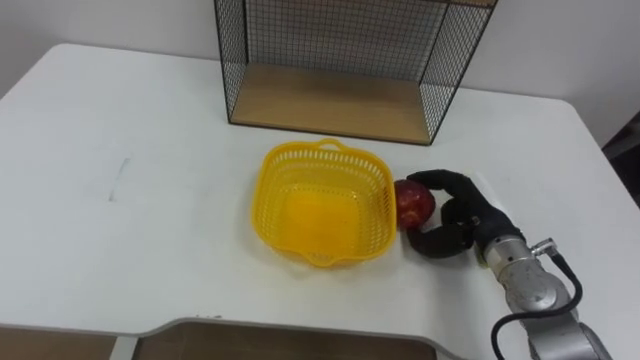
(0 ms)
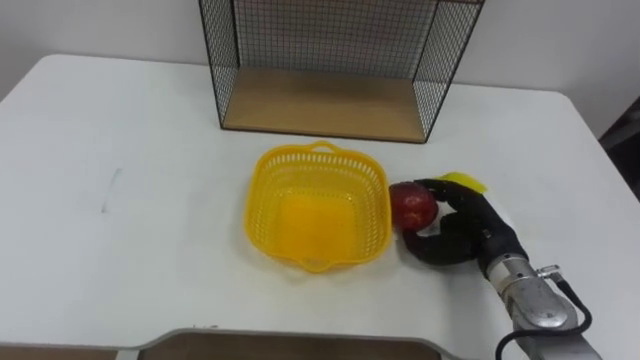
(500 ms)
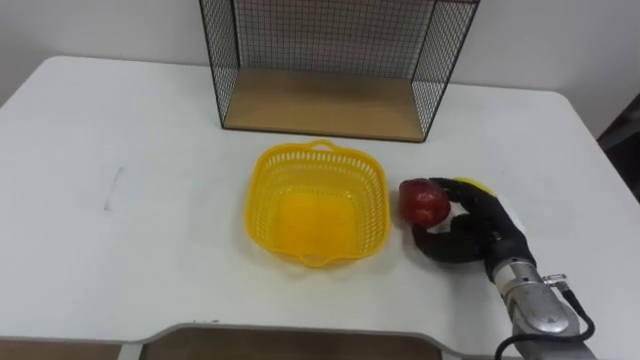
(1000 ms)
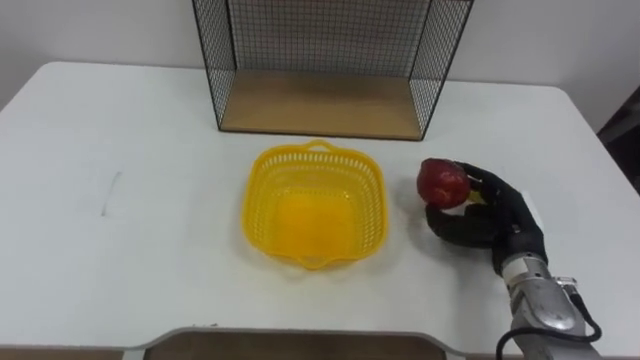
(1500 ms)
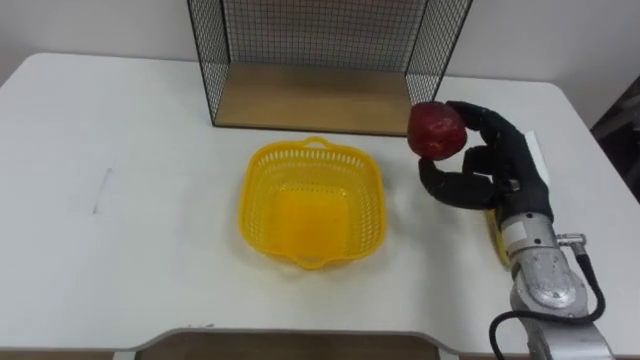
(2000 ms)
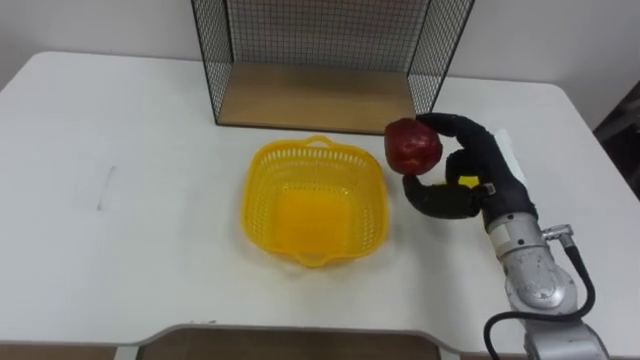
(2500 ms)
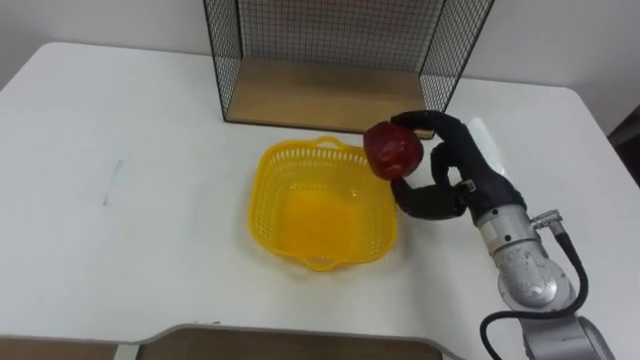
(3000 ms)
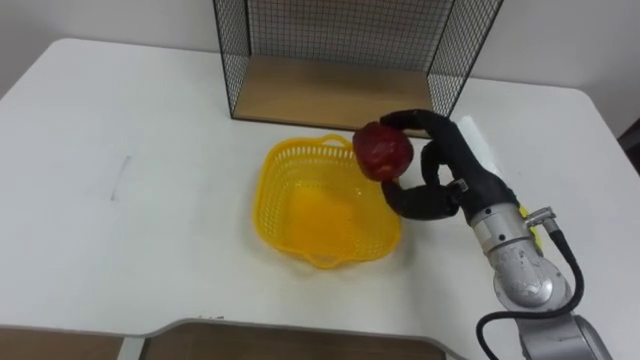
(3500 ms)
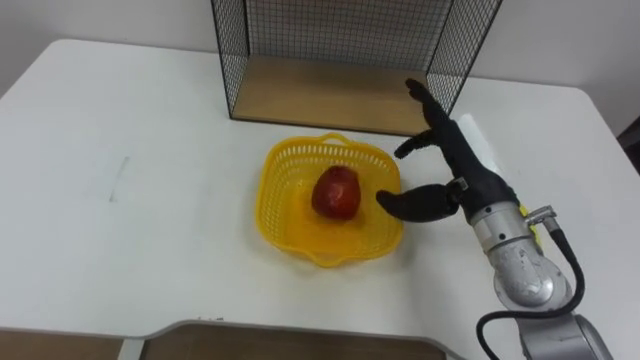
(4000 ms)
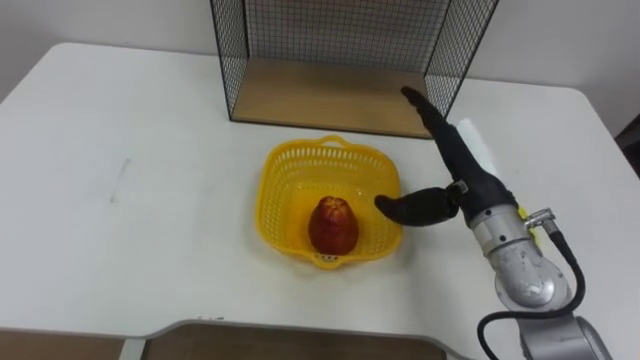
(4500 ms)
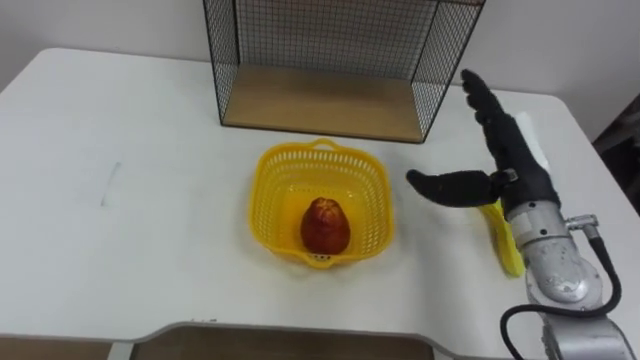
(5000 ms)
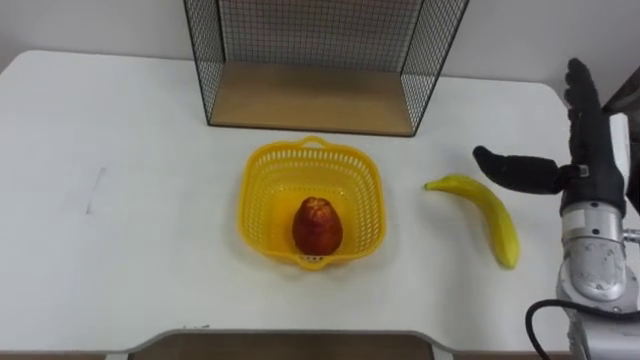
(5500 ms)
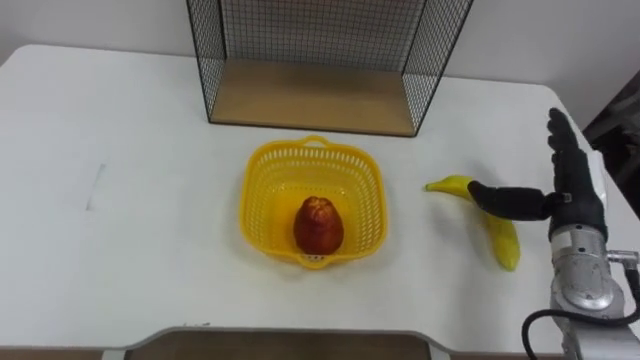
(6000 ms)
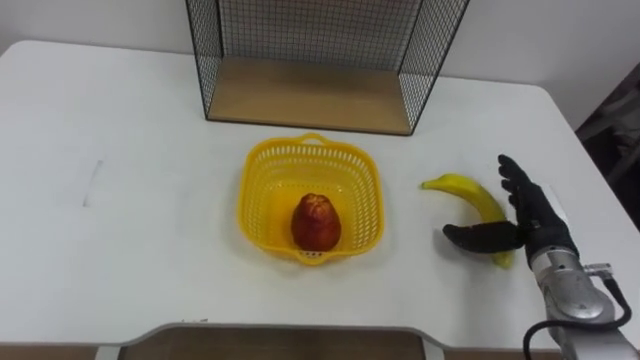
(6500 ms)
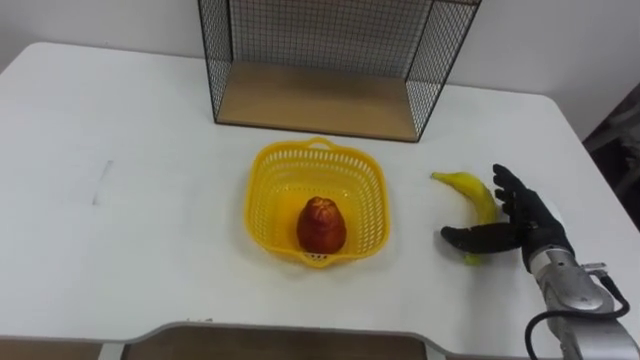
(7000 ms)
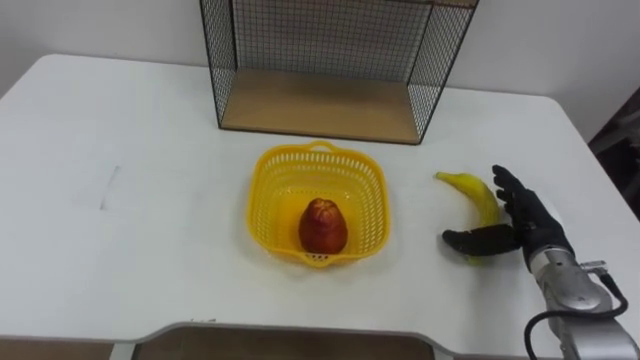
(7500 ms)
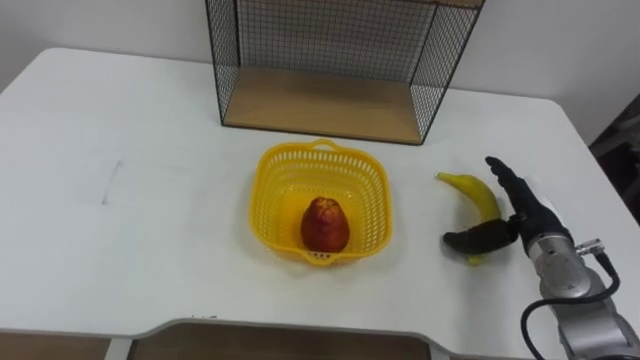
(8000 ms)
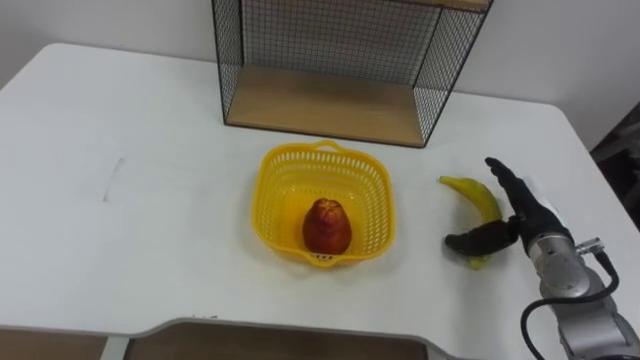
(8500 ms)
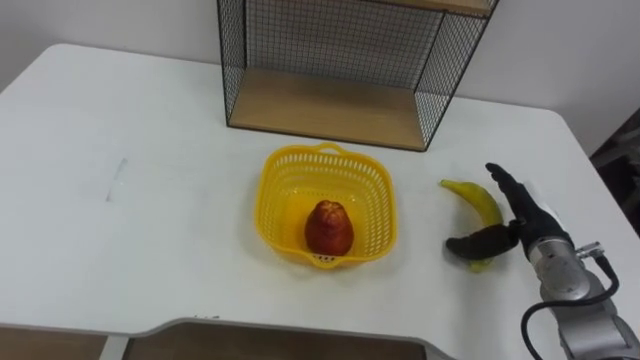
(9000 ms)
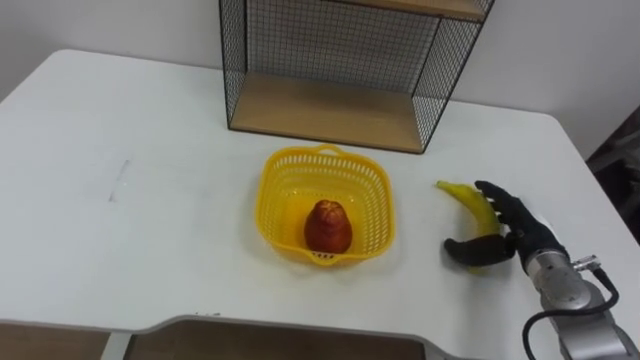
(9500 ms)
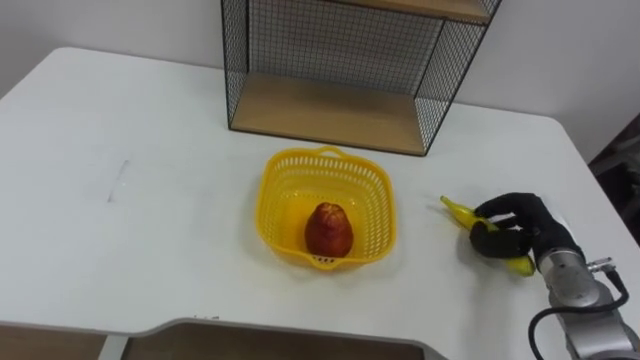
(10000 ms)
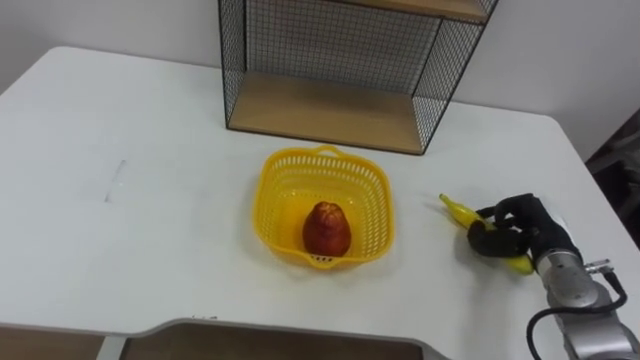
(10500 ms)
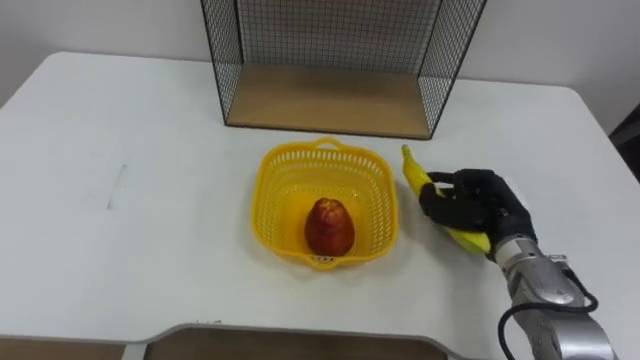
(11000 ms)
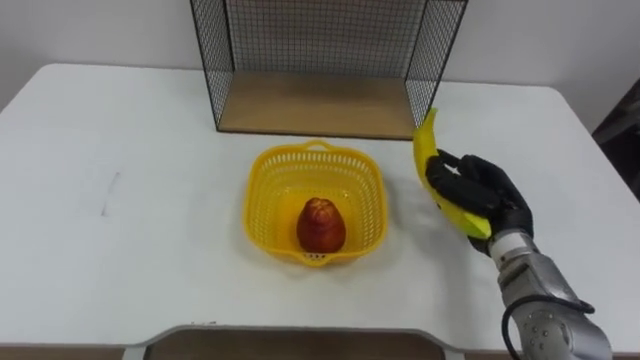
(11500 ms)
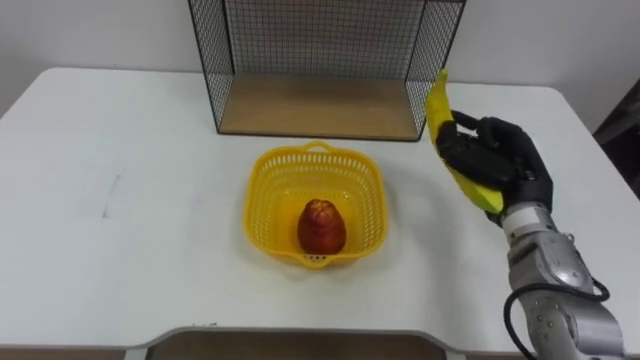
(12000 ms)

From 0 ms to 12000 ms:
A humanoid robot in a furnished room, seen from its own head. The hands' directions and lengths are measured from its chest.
Task of the whole recording: Put the fruit on the table into the basket, then place the basket on the shelf.
From 0 ms to 2000 ms: The right hand is displaced upward by approximately 5 cm.
From 2000 ms to 4000 ms: The right hand shifts approximately 5 cm to the left, and opens.
From 4000 ms to 6000 ms: The right hand shifts some 15 cm to the right.
From 6000 ms to 8000 ms: The right hand moves downward, roughly 5 cm.
From 8000 ms to 10000 ms: The right hand closes up.
From 10000 ms to 12000 ms: The right hand shifts roughly 10 cm upward and to the left.

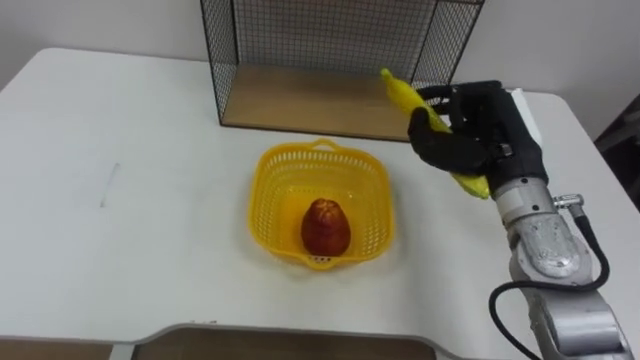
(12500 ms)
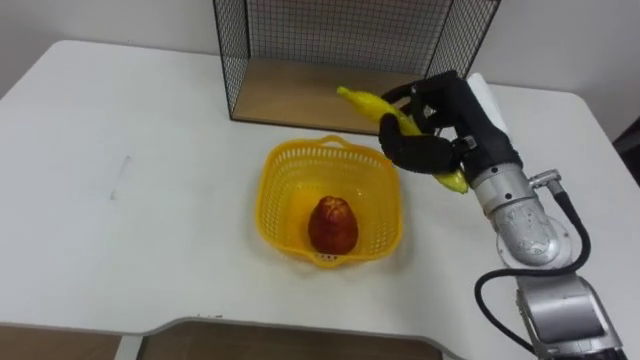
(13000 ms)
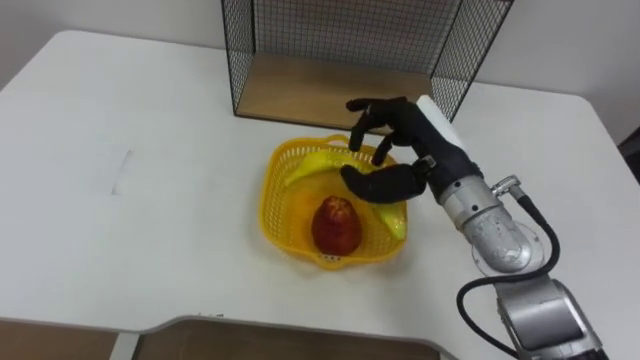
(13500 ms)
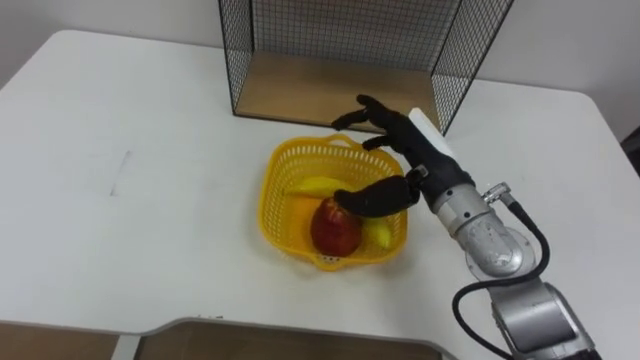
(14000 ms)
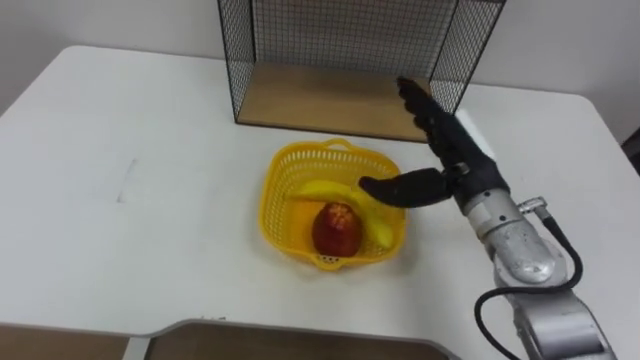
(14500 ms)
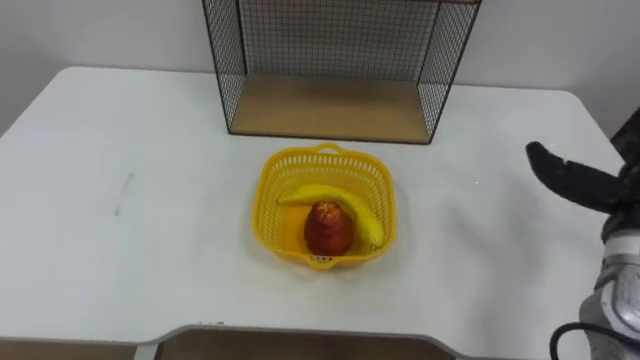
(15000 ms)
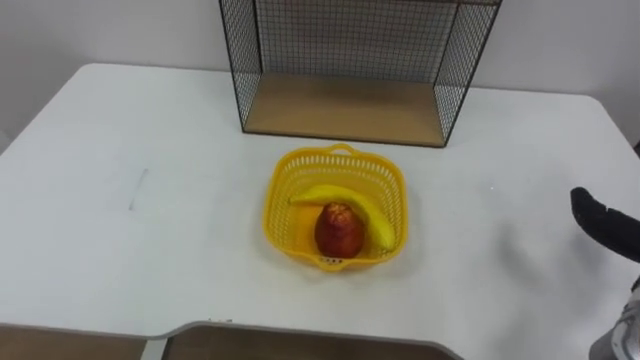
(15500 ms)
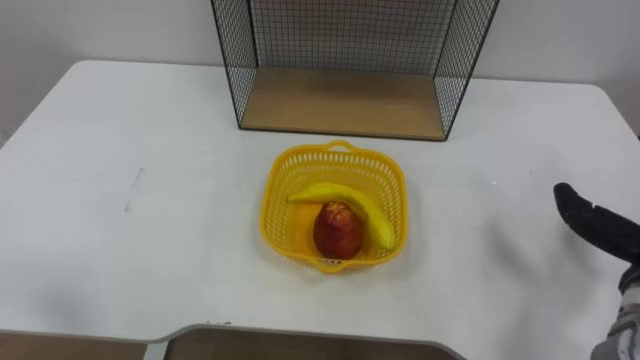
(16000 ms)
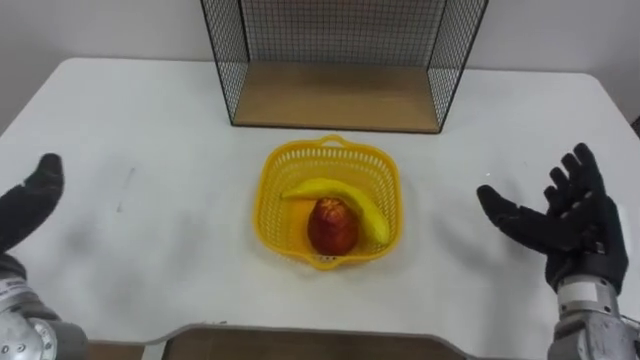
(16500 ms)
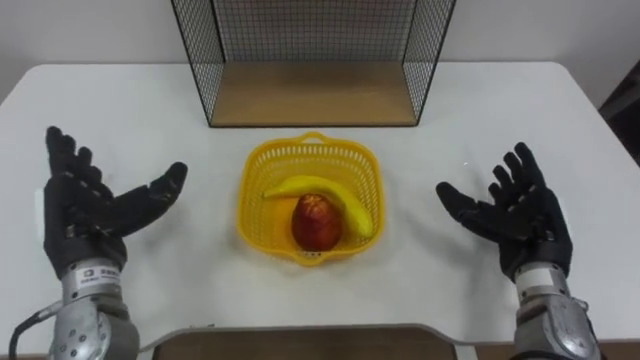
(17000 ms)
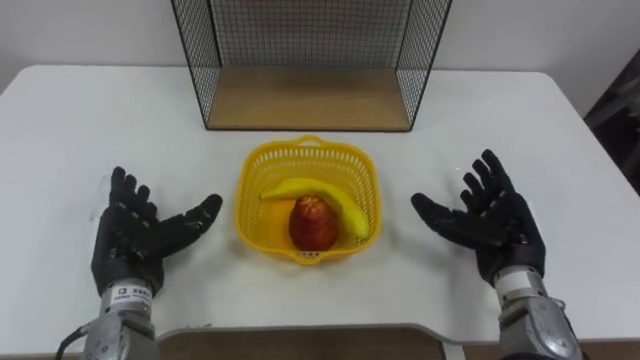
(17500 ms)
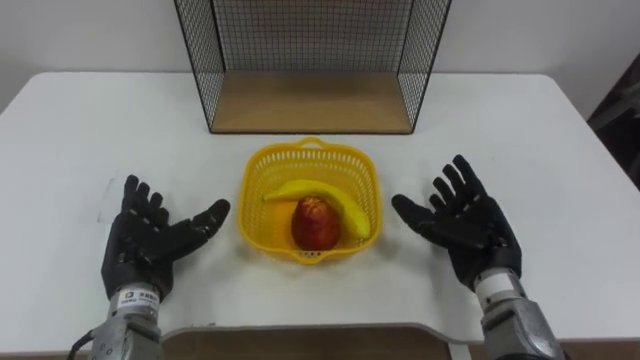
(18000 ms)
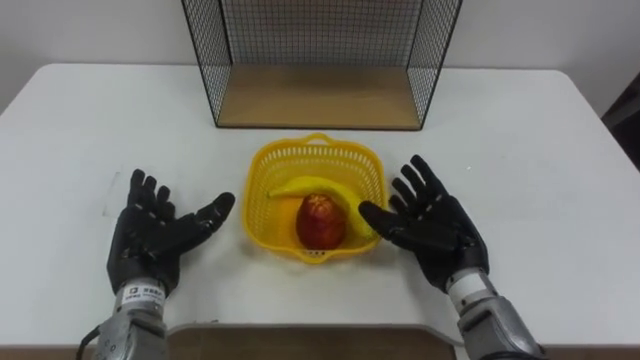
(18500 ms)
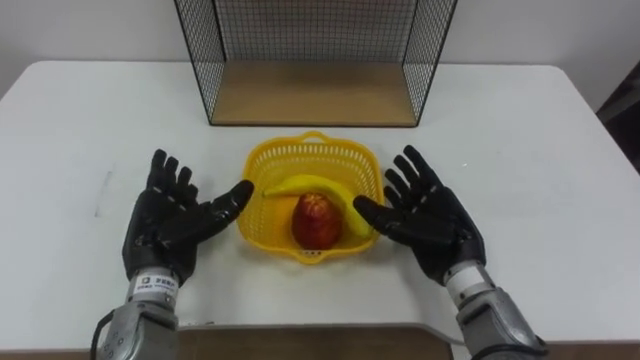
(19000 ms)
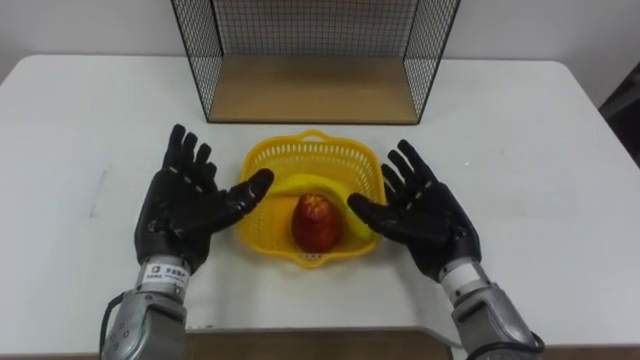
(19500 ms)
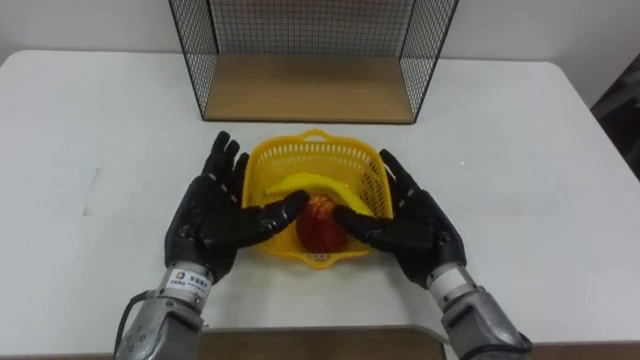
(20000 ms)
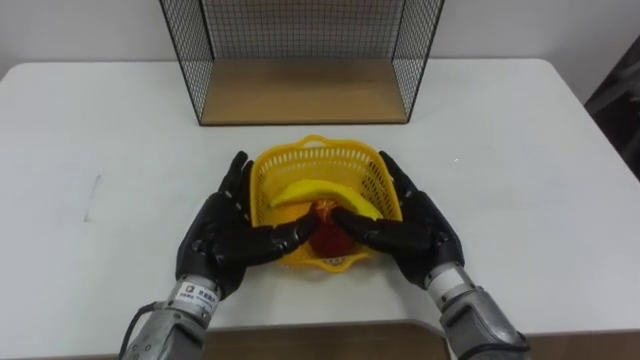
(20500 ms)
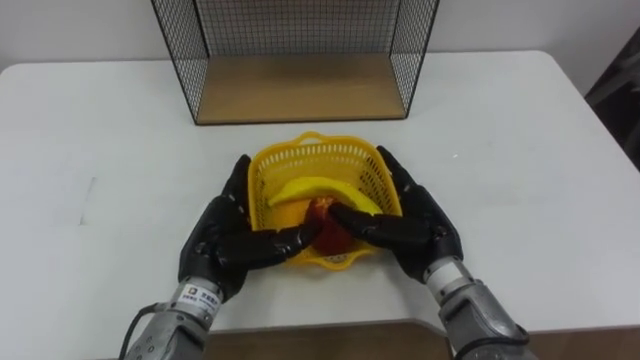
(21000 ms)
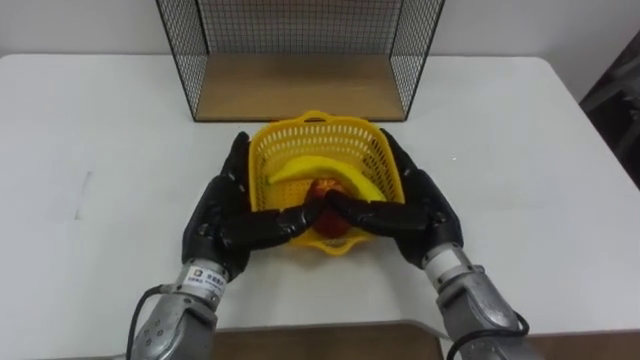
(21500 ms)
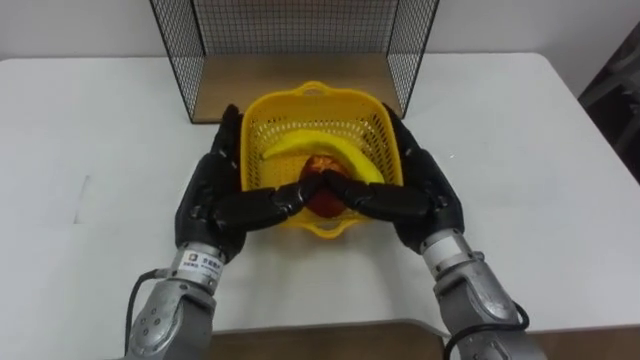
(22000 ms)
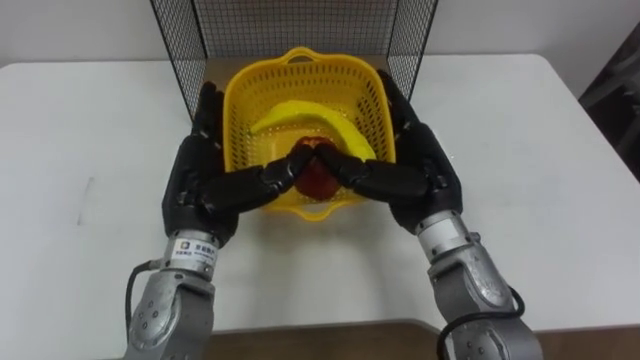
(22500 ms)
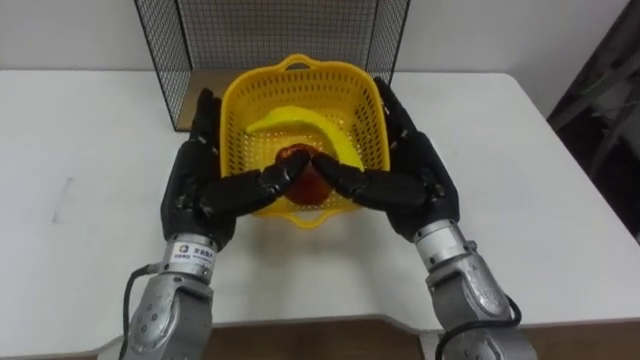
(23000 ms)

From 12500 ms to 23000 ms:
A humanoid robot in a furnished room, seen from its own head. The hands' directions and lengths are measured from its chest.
Task of the whole recording: Put the fruit on the table into the basket, then place the basket on the shelf.
From 12500 ms to 14500 ms: The right hand opens its fingers.
From 16500 ms to 19000 ms: The right hand heads to the left, covering some 15 cm.
From 19000 ms to 21000 ms: The left hand heads to the right, covering approximately 5 cm.
From 21000 ms to 23000 ms: Both hands travel together upward, some 5 cm.
